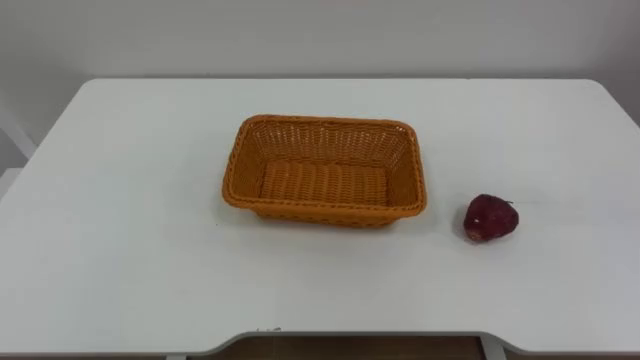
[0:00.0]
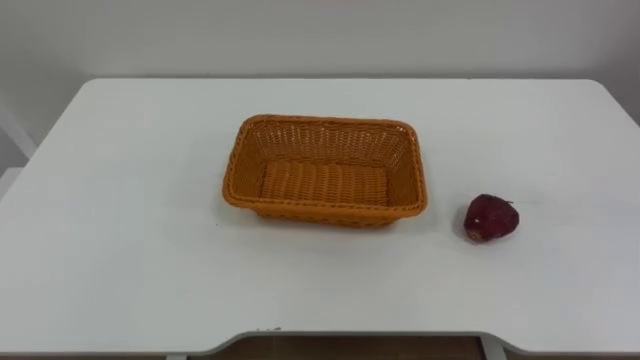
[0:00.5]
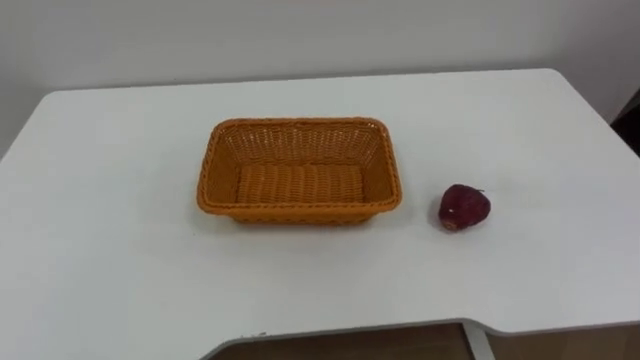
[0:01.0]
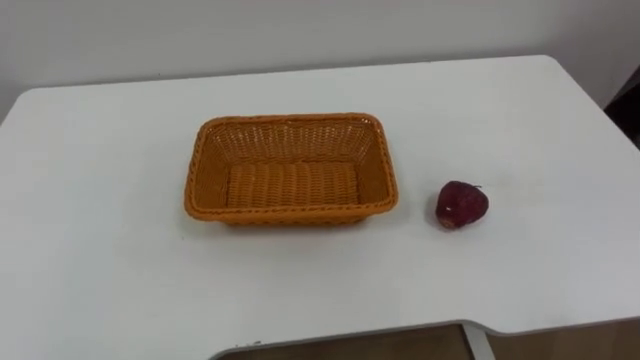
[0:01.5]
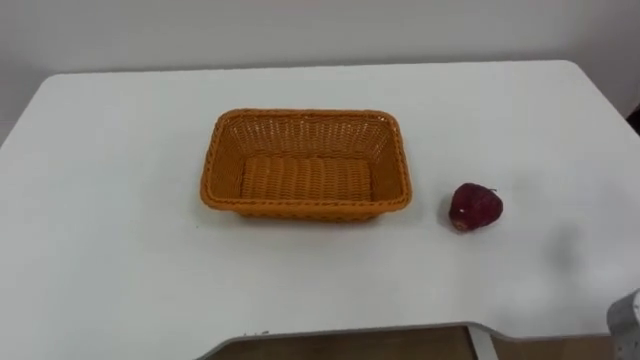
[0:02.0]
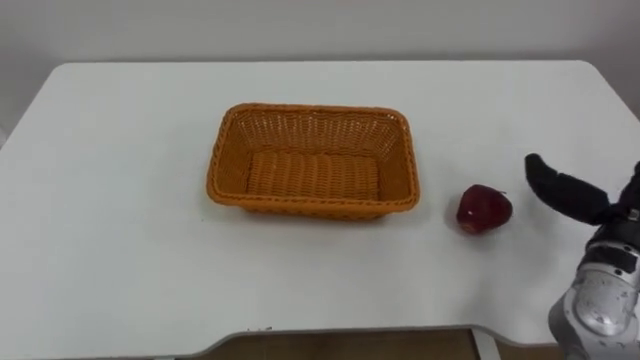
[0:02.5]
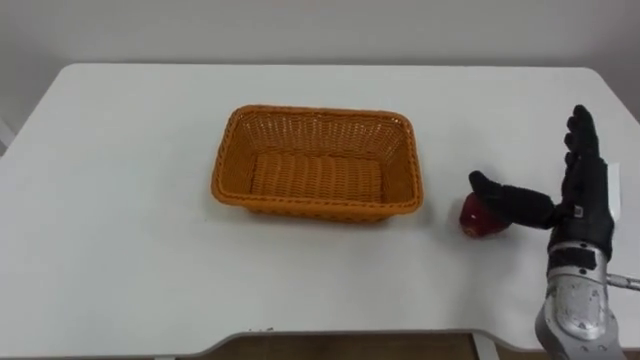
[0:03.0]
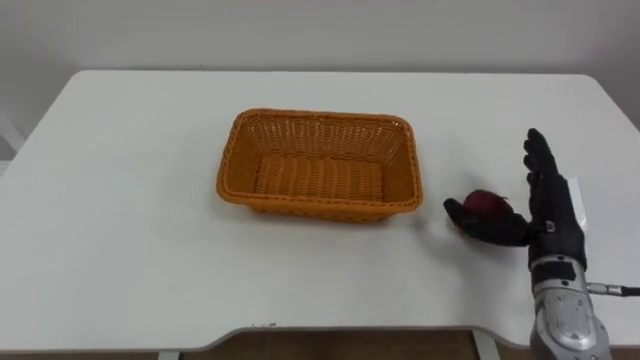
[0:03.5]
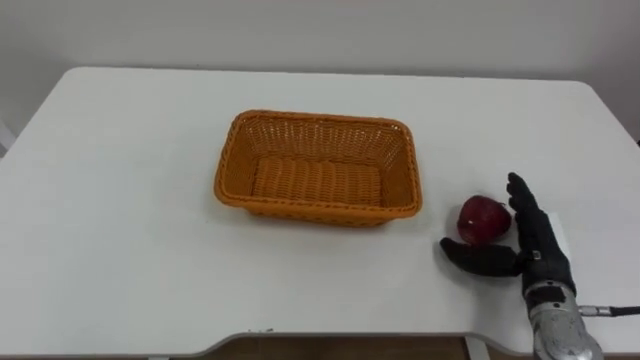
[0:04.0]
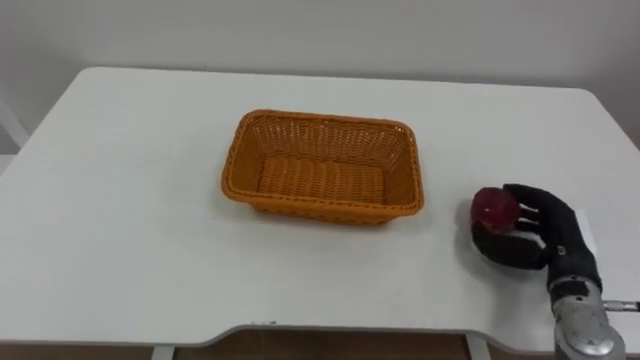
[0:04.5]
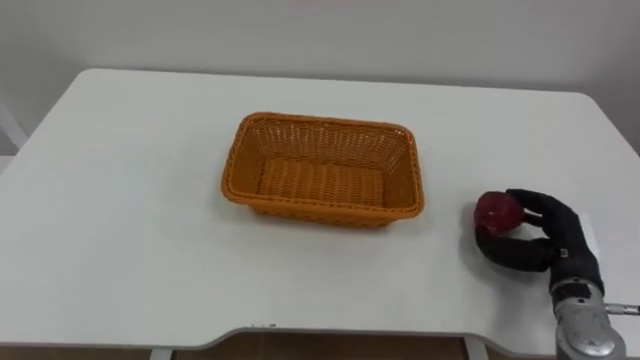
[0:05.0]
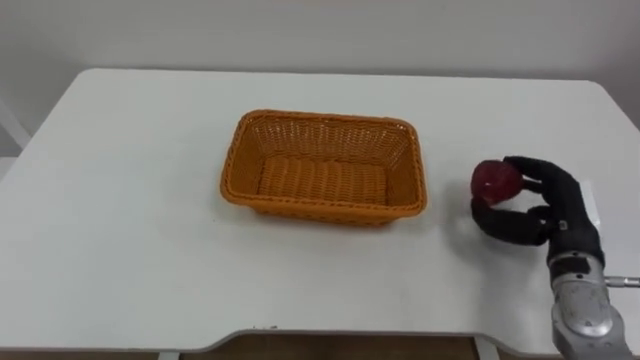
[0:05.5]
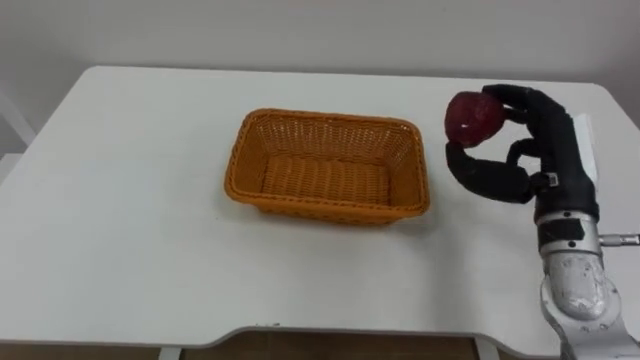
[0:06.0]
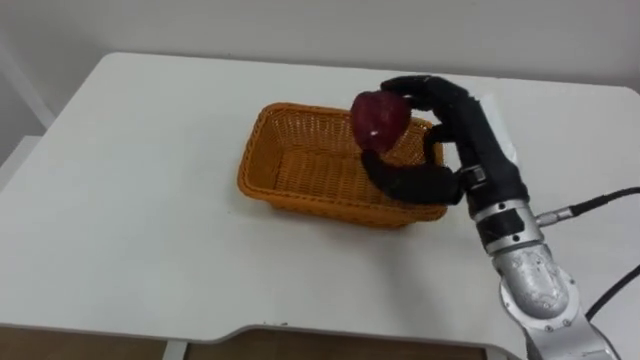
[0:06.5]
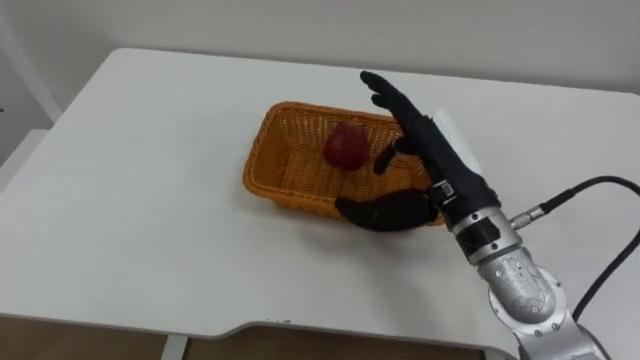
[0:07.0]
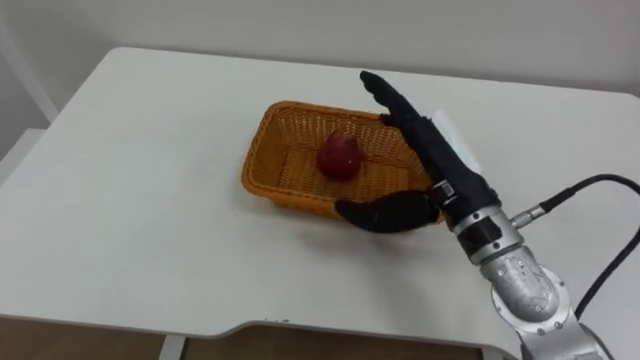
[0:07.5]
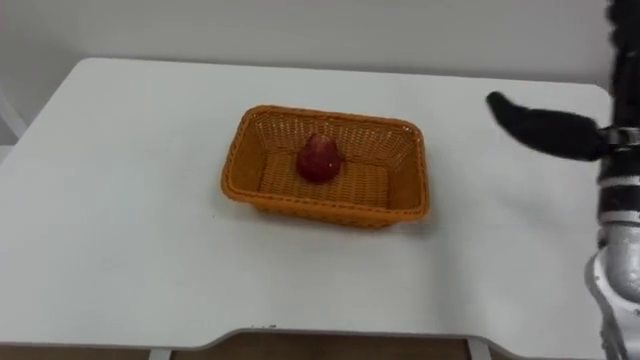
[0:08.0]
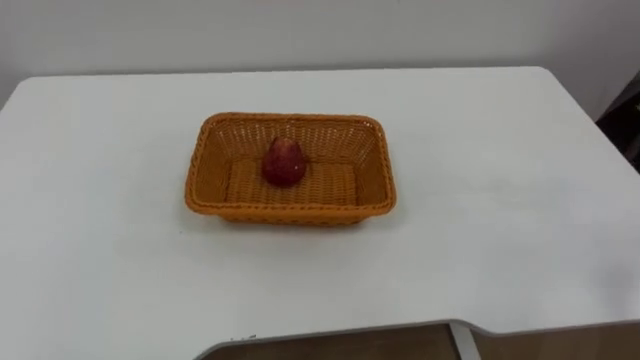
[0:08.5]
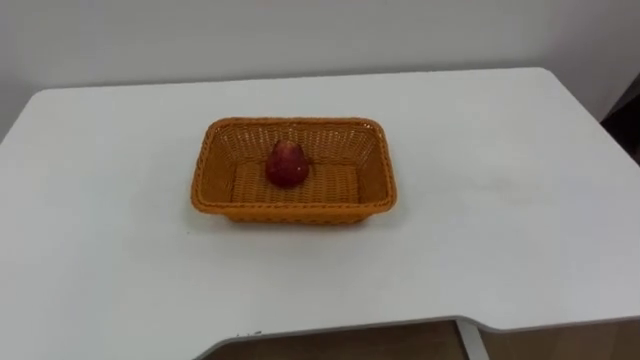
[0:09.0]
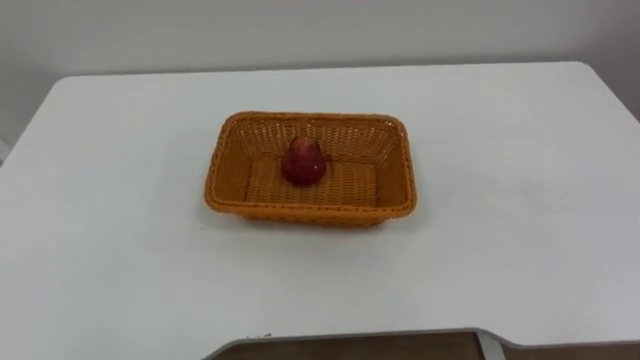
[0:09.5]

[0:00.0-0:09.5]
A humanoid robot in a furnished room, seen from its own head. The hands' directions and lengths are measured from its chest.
Task of the whole recording: Pick the apple and place it in the box.
0:04.0 to 0:05.5: The right hand closes its fingers.
0:05.5 to 0:07.5: The right hand heads to the left and upward, covering roughly 20 cm, and opens its fingers.

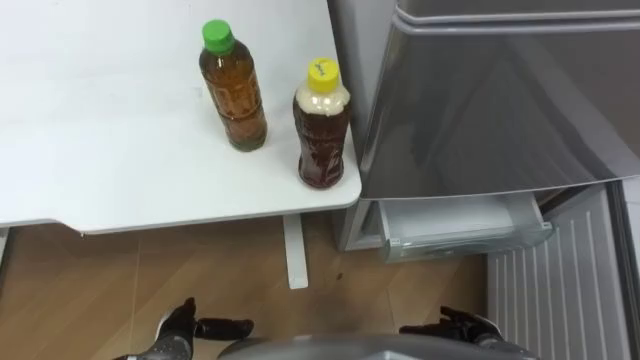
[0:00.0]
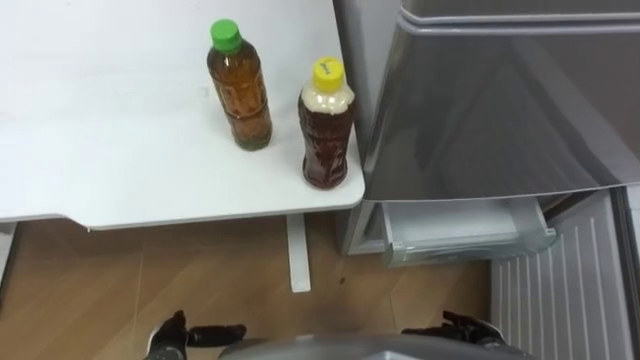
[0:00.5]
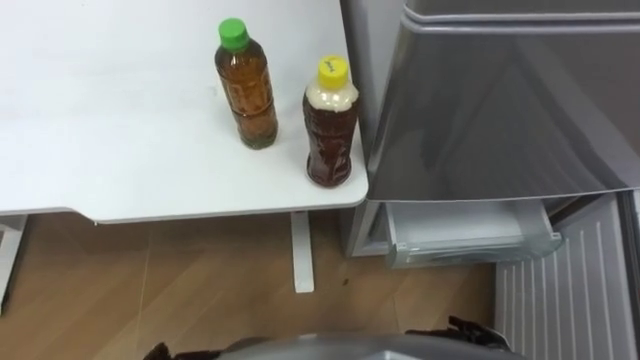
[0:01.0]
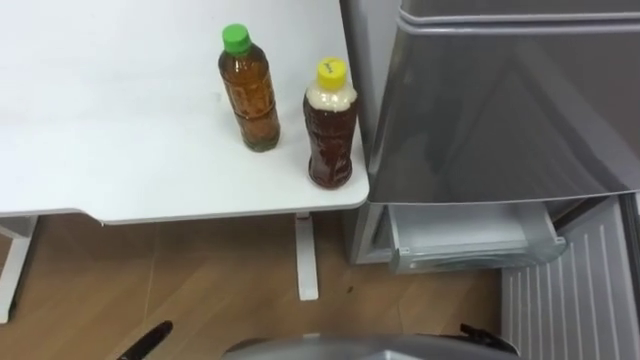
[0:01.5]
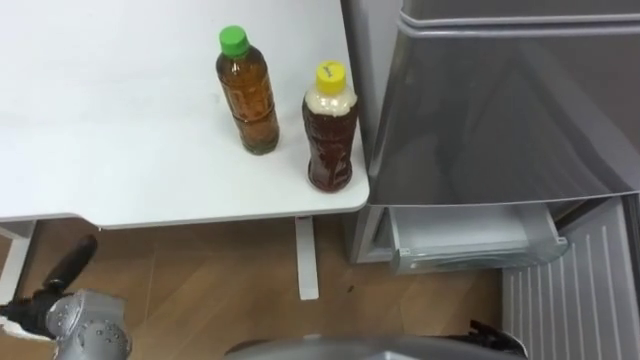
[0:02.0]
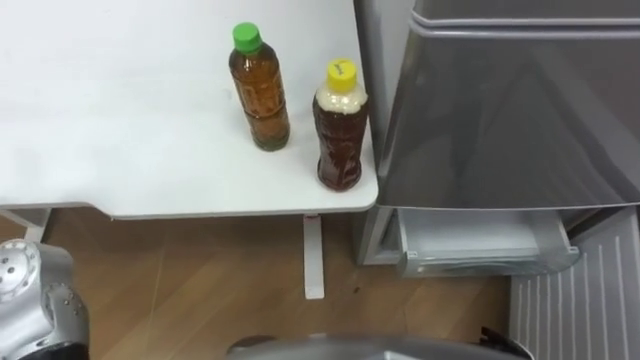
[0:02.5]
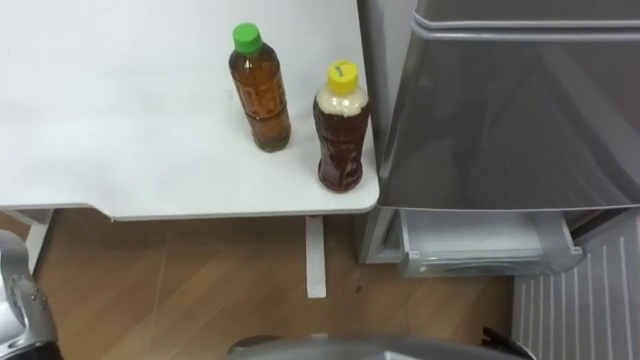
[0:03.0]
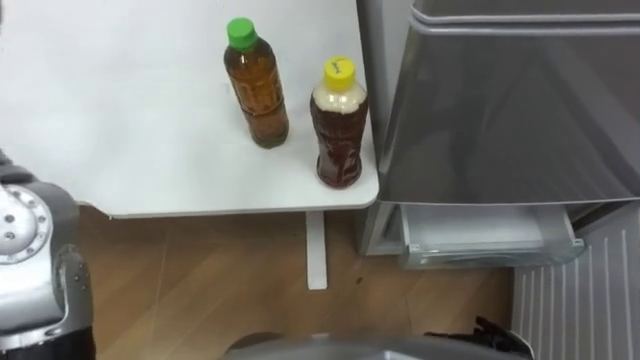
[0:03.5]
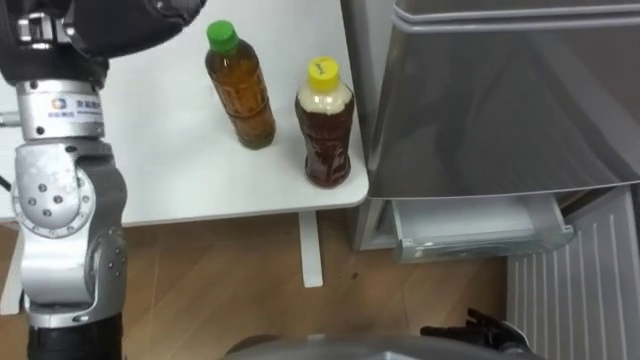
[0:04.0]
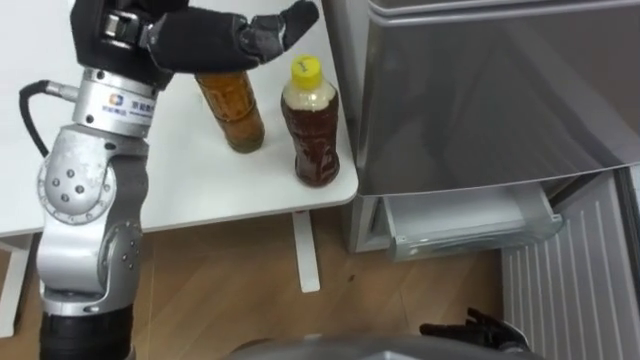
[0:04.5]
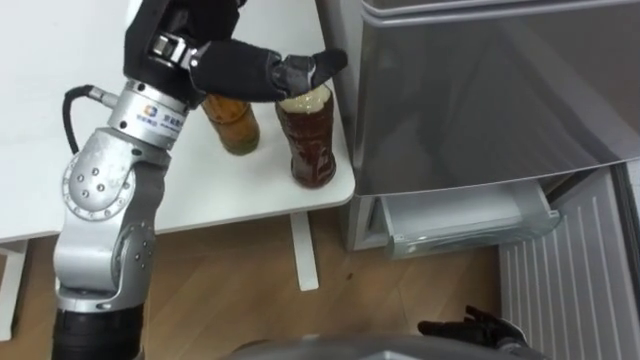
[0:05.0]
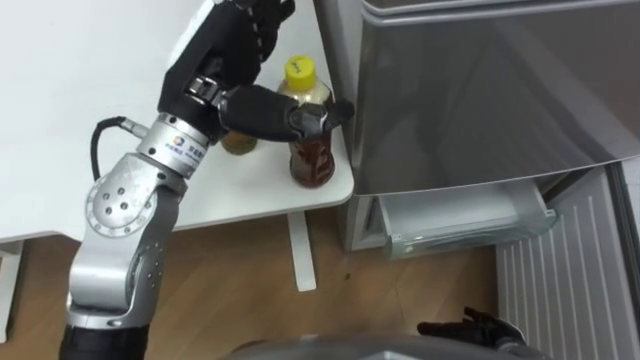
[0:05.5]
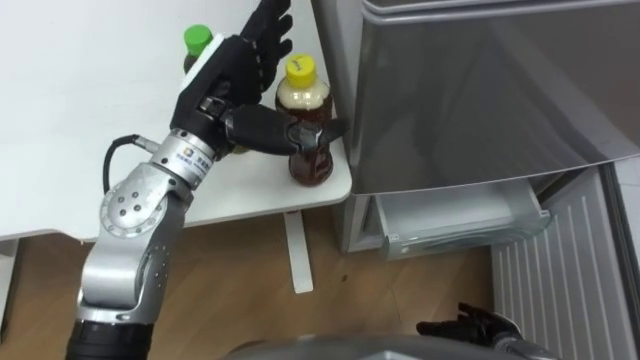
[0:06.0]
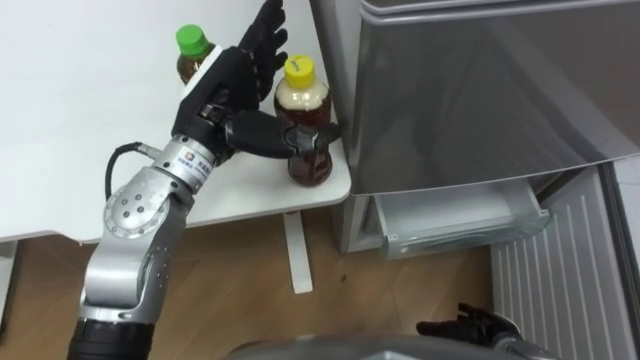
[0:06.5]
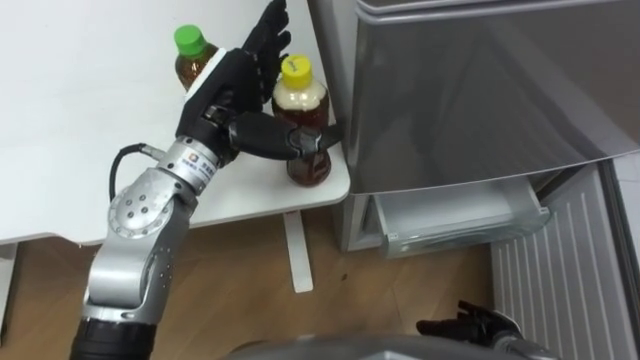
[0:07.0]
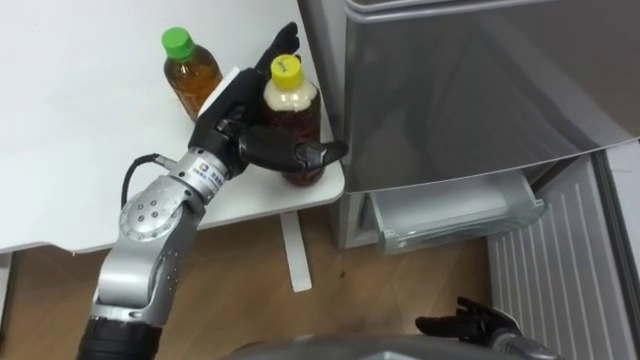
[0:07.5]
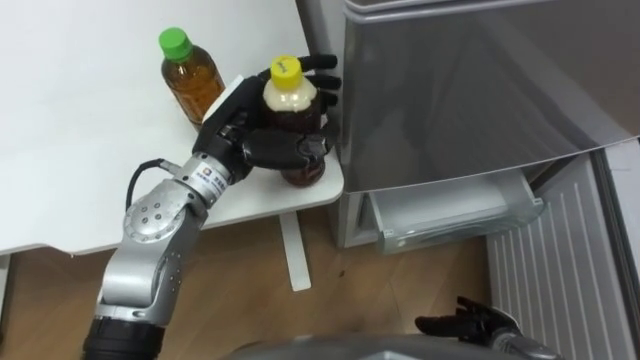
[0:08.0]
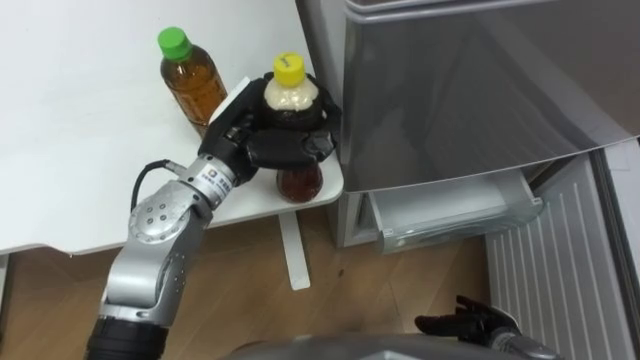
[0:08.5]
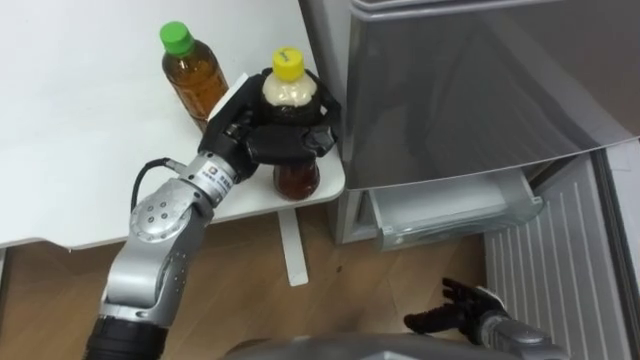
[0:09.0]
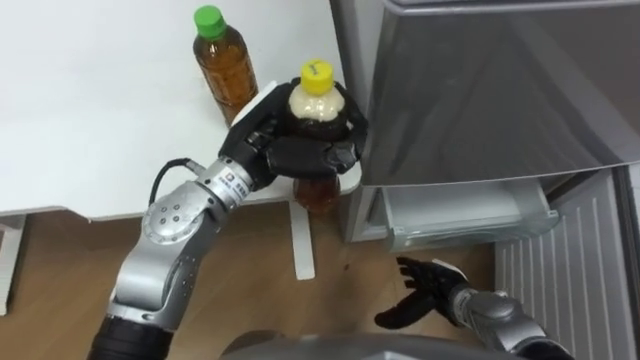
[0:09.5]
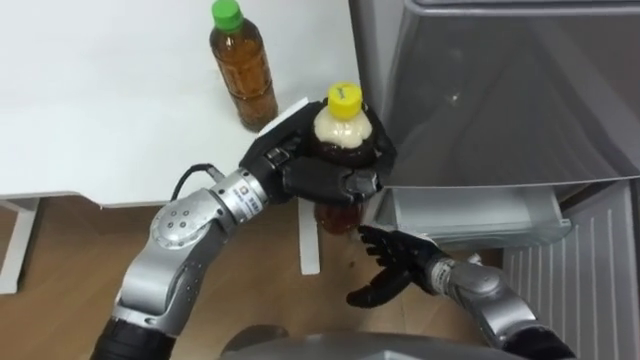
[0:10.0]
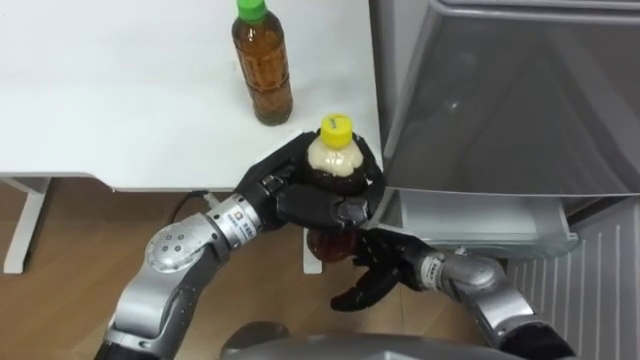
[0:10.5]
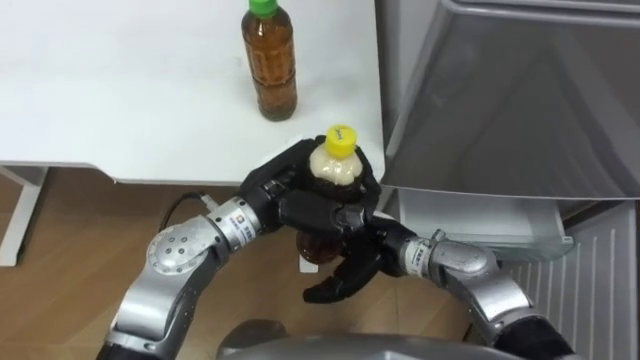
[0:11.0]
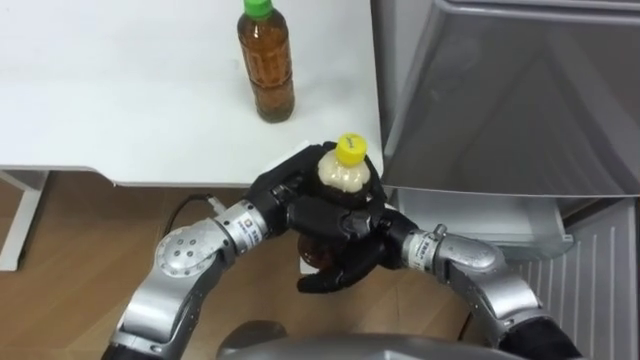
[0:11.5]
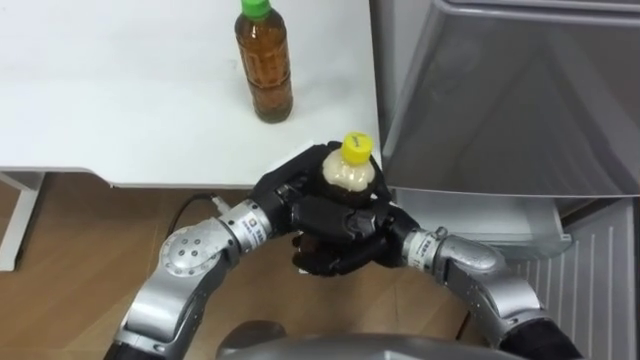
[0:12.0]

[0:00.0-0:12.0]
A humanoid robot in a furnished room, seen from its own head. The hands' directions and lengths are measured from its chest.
Task of the whole recording: Place the drink on the table on the bottom shelf of the refrigerator, then close the drawer and the refrigerator door.
0:04.0 to 0:06.0: The left hand goes approximately 15 cm downward and to the right.
0:06.0 to 0:08.0: The left hand heads downward, covering about 5 cm, and closes.
0:08.0 to 0:10.0: The left hand shifts some 5 cm to the right, and closes. Meanwhile the right hand is displaced to the left, forward and upward by approximately 15 cm.
0:10.0 to 0:12.0: The right hand travels upward and to the left by approximately 10 cm.
